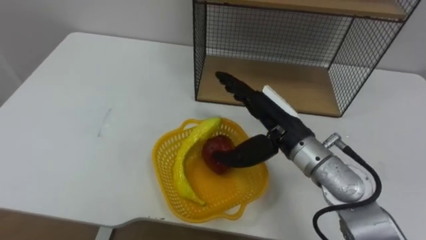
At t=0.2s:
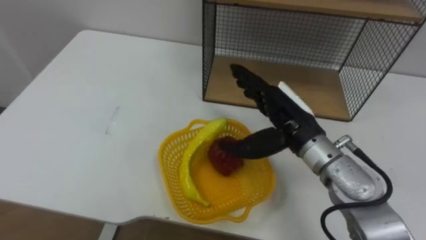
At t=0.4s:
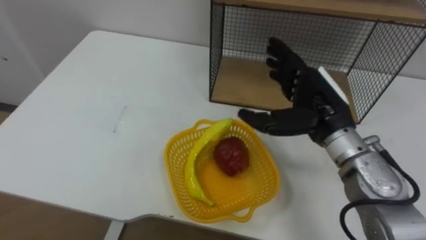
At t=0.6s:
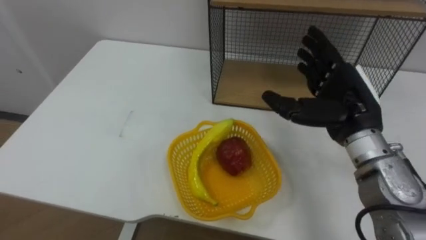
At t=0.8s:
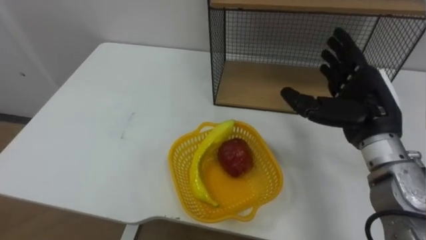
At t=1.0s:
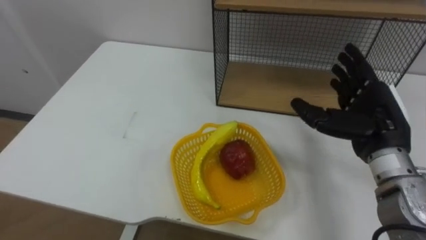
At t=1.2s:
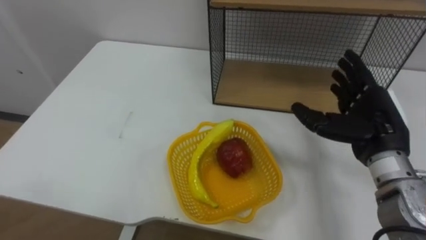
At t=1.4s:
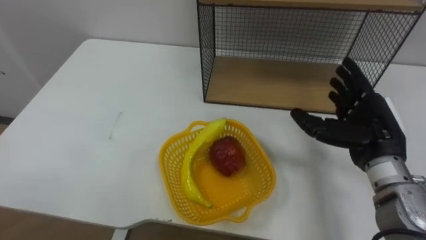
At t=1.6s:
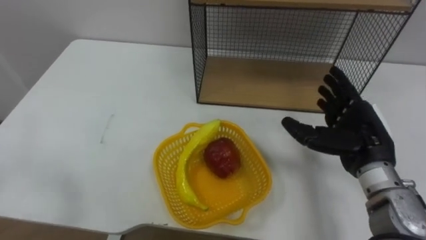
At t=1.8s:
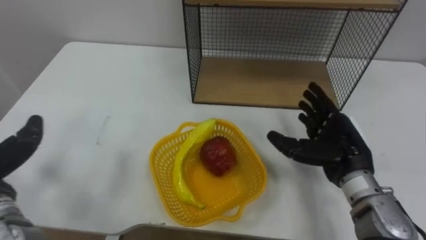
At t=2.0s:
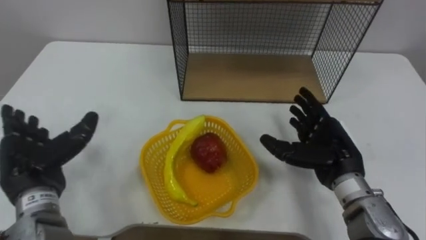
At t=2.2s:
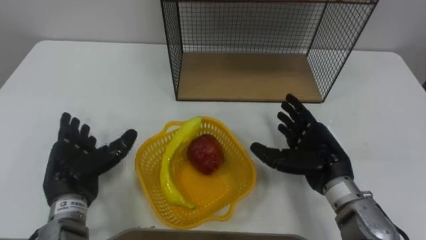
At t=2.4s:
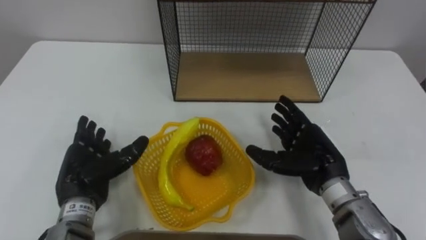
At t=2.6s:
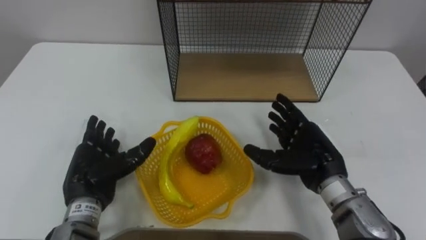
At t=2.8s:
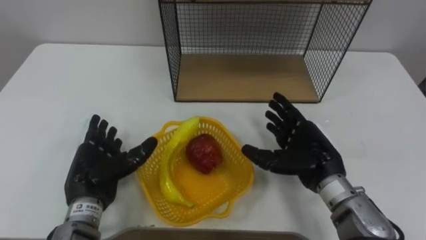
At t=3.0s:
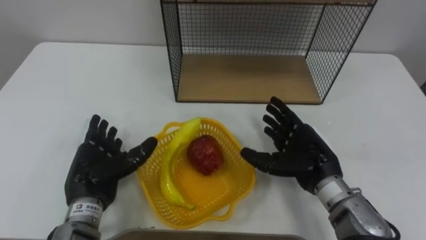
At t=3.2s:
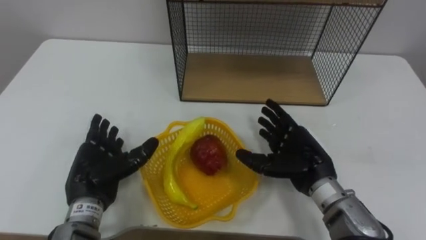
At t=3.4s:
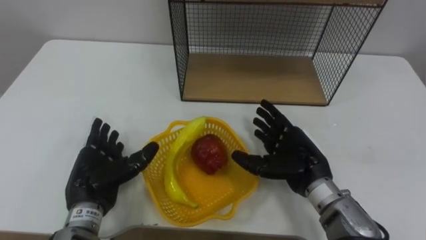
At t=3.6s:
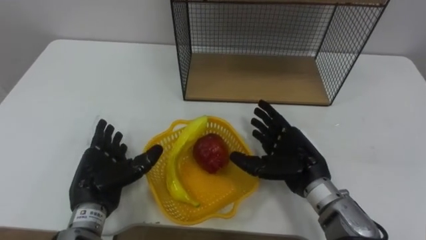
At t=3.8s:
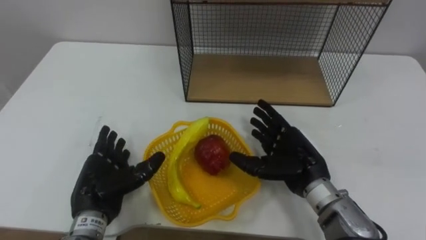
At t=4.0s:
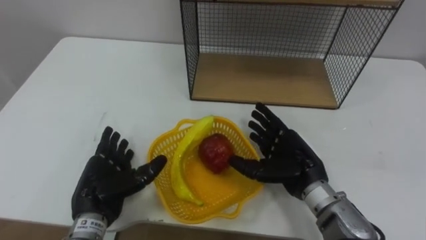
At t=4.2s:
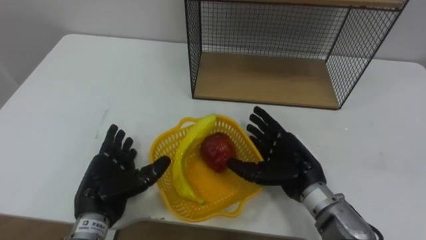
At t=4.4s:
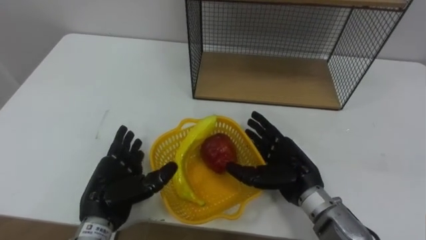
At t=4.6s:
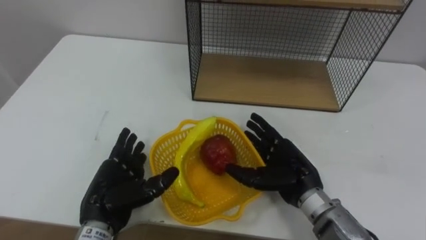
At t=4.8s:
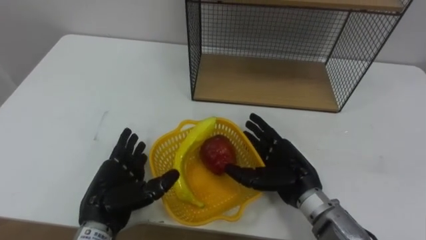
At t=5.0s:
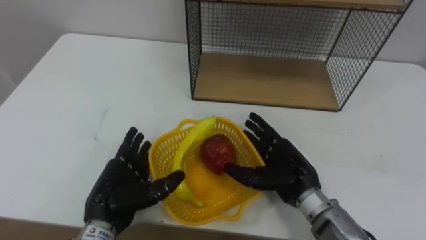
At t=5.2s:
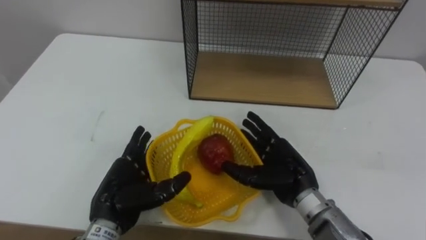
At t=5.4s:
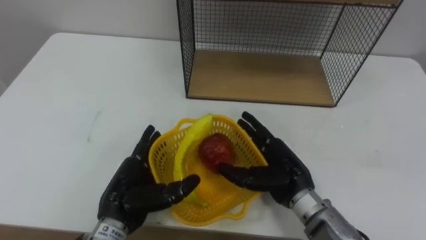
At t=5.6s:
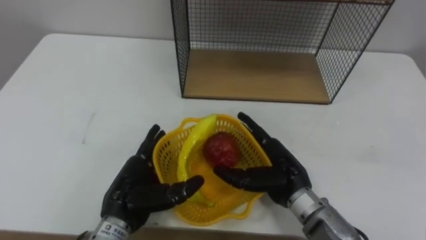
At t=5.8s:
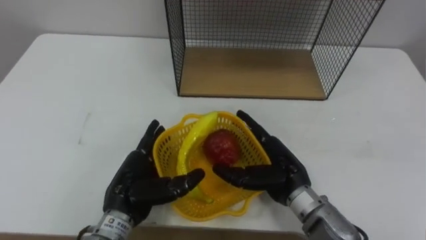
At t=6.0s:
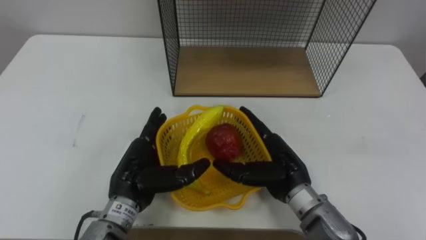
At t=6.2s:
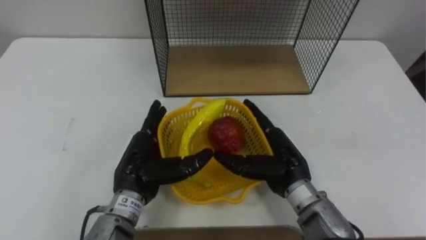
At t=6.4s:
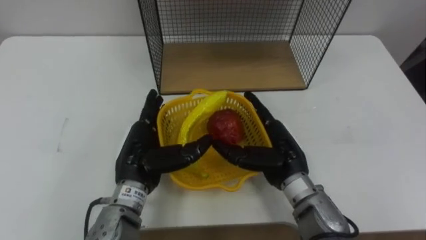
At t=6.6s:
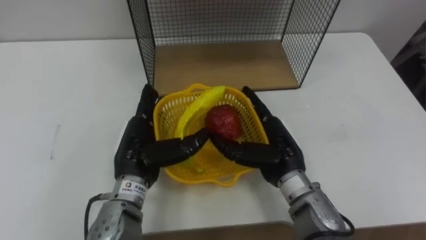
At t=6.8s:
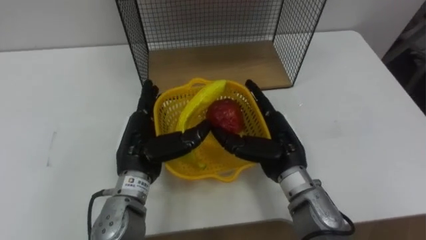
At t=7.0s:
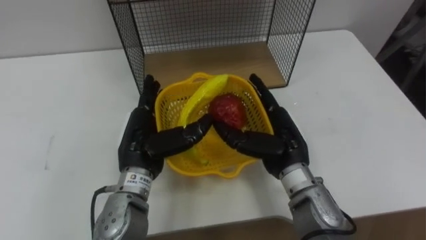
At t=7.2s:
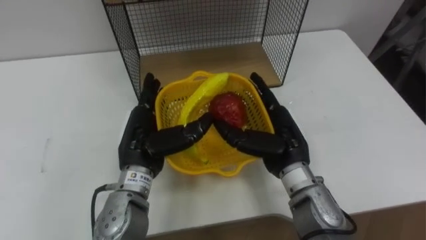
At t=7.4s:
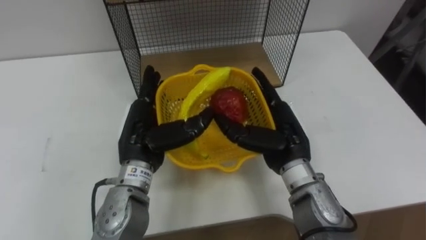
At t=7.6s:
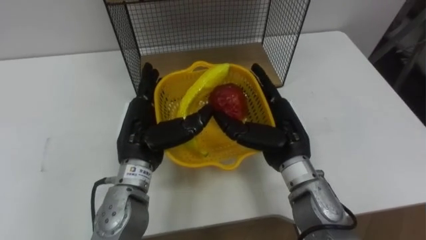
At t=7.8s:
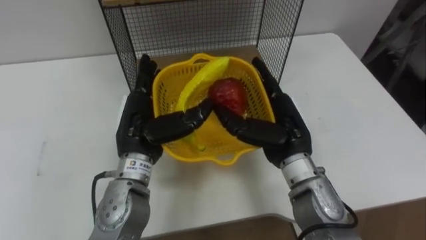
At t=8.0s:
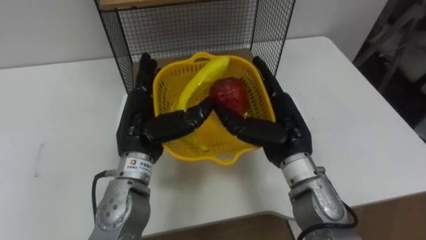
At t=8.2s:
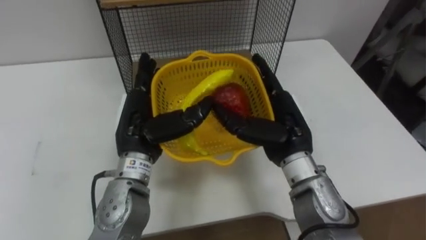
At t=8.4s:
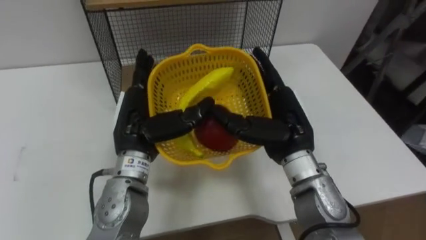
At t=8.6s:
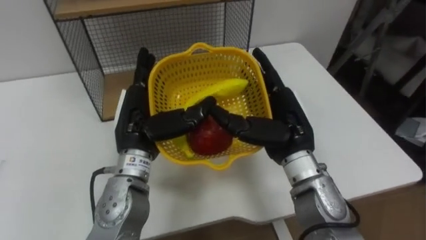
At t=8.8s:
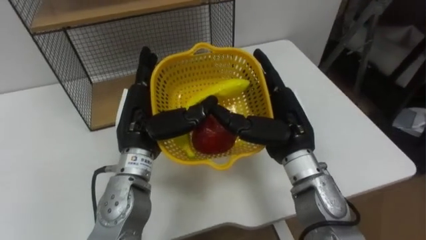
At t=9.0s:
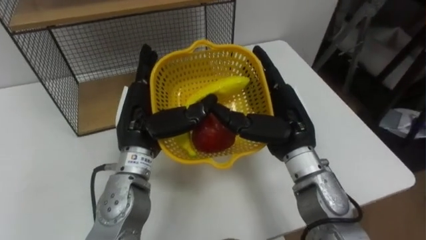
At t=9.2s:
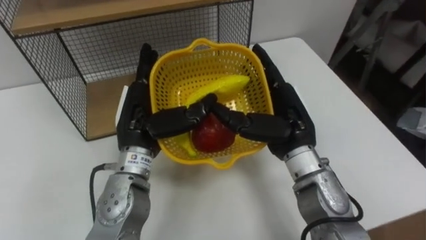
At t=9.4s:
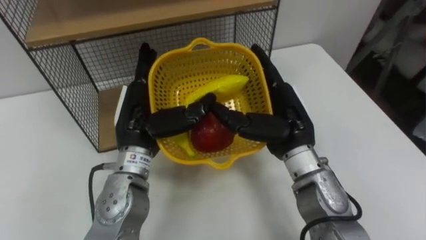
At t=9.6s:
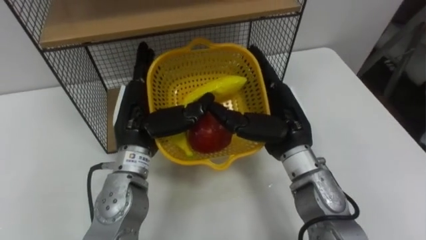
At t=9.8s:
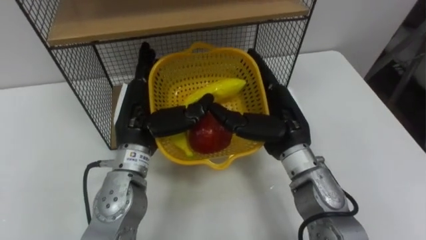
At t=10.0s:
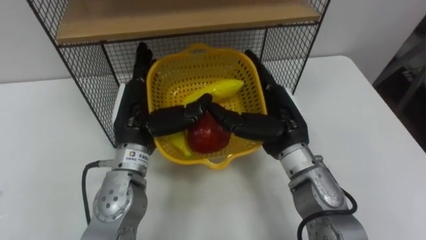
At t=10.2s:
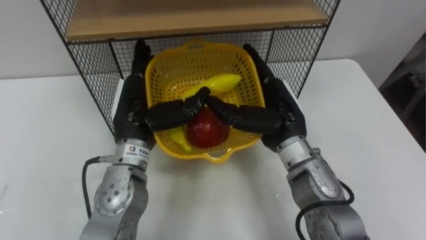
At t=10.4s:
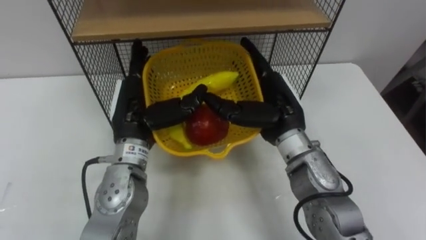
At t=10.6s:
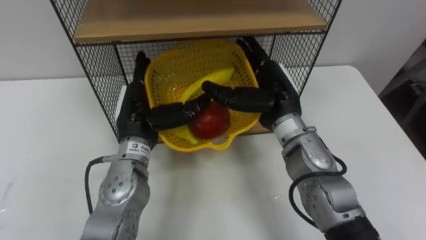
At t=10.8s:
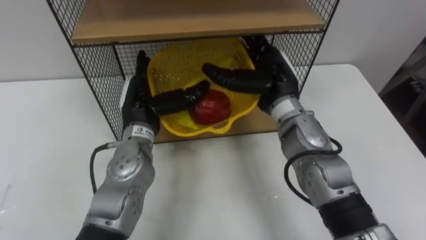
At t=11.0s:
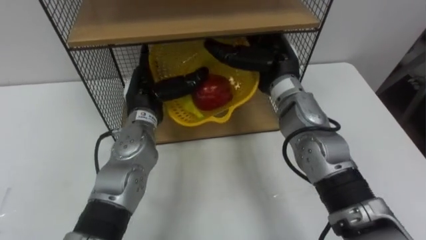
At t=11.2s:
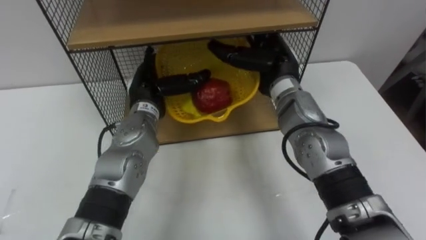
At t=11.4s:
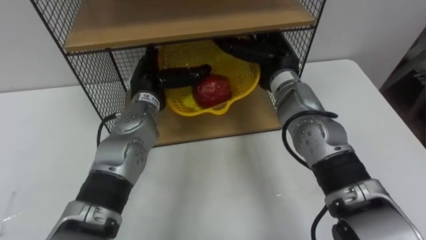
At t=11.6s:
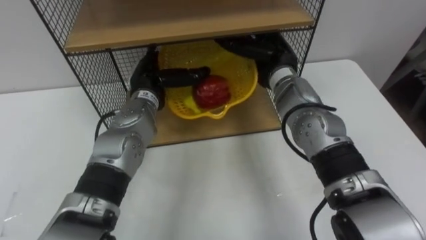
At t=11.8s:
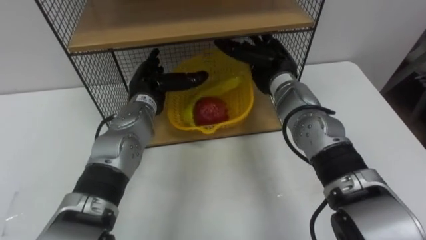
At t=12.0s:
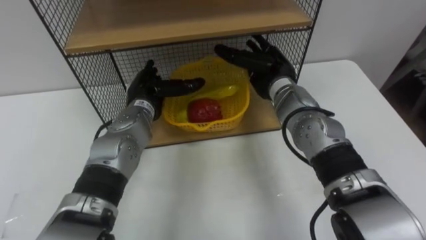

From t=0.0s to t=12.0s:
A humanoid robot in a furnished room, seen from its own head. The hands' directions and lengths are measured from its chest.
Task of the whole recording: Put the fruit on the table into the basket, then place the basket on the shelf.
From t=0.0s to t=1.6s: The right hand shifts approximately 15 cm to the right.
From t=1.6s to t=3.0s: The right hand heads to the left and downward, covering some 10 cm.
From t=4.4s to t=6.0s: The left hand goes some 5 cm to the right.
From t=6.0s to t=7.6s: Both hands travel together upward, approximately 5 cm.
From t=10.4s to t=12.0s: The left hand heads forward and downward, covering some 10 cm. Meanwhile the right hand is displaced forward by approximately 10 cm.

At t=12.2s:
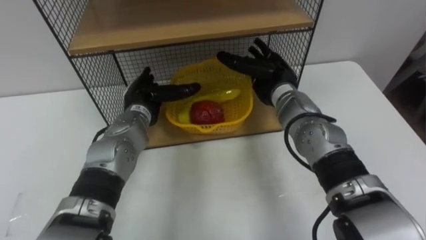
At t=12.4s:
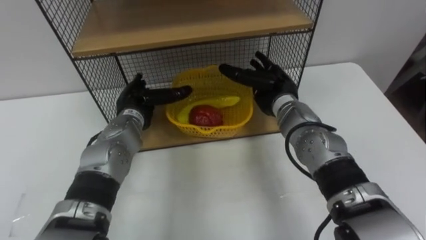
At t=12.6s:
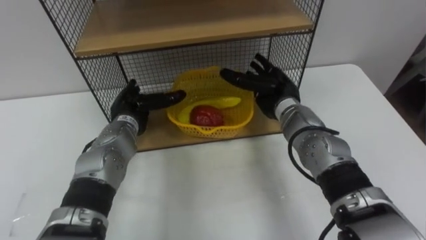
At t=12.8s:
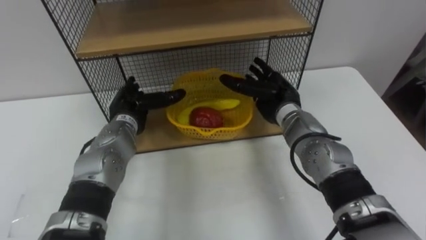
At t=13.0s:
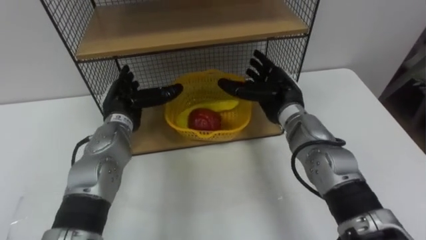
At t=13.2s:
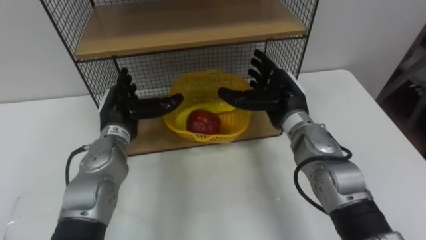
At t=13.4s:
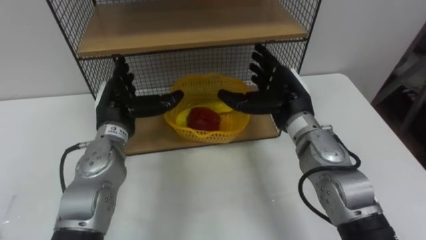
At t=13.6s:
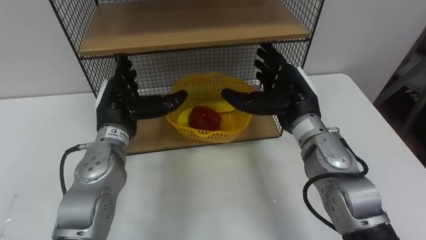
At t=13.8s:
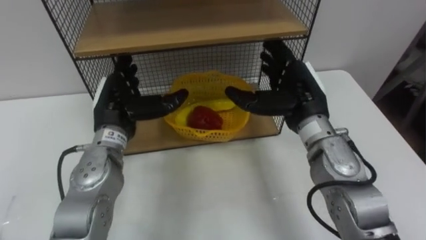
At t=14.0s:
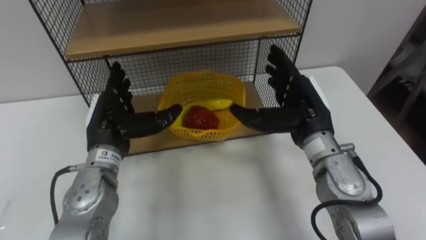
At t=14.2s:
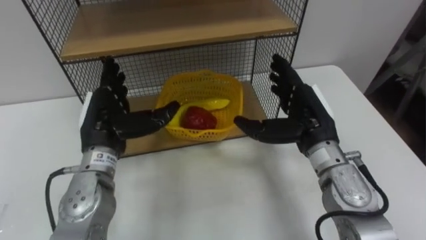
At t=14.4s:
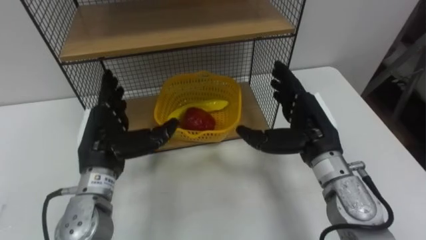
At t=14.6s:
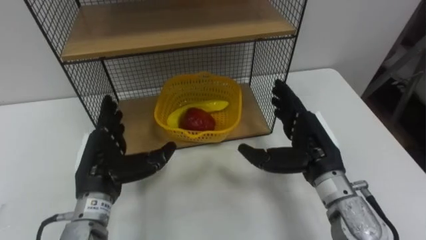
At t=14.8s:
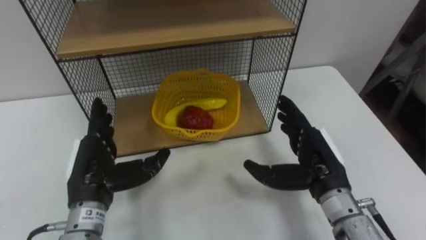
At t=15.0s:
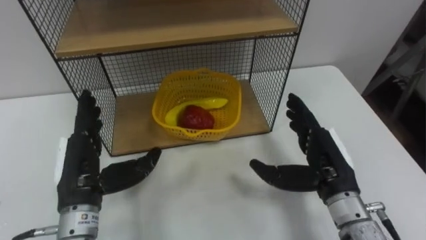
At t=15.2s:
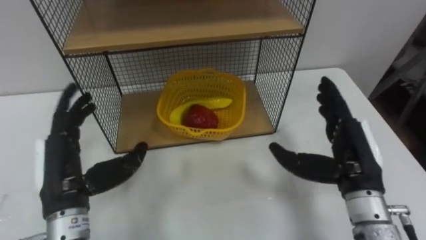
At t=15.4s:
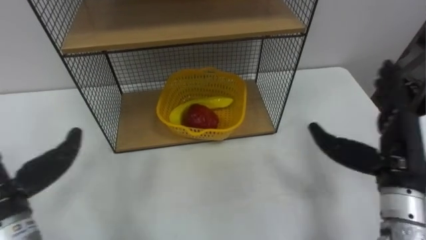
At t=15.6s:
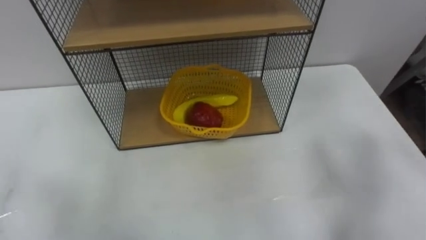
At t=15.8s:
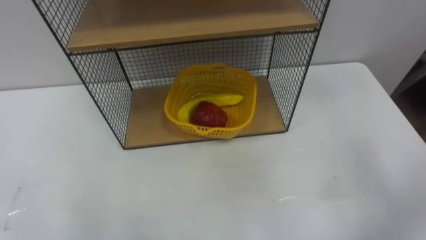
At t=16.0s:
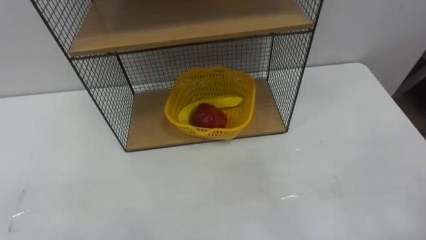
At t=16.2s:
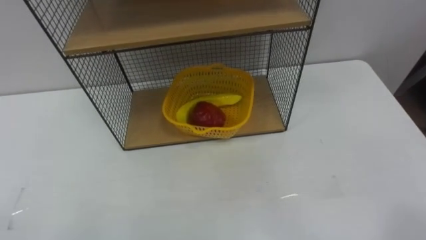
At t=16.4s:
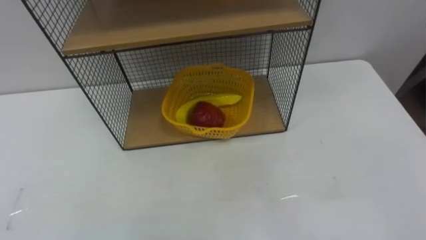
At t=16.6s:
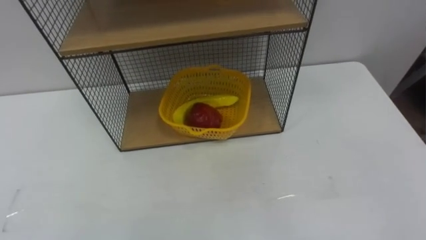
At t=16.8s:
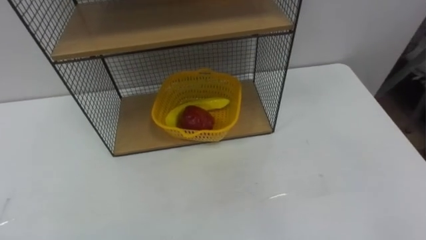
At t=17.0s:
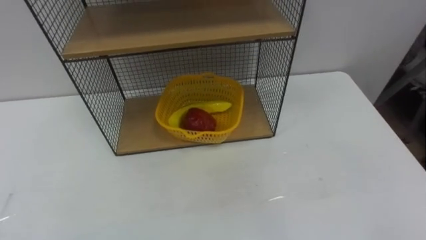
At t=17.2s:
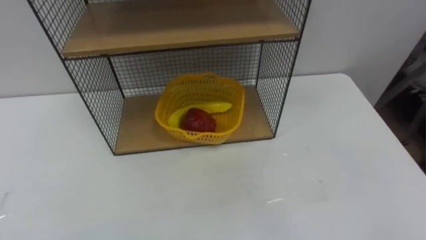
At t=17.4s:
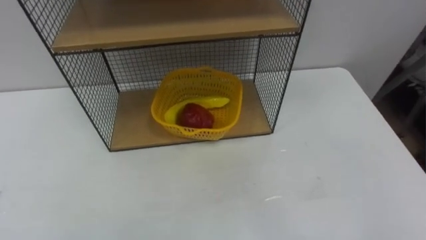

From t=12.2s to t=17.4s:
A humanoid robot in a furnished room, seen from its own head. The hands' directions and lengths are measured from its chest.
Task of the whole recording: Put the fruit on the table into the basket, then place the basket on the shelf.
From t=12.2s to t=14.0s: Both hands move backward, roughly 10 cm.
